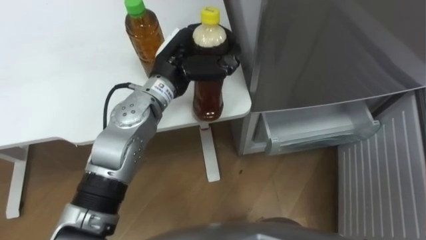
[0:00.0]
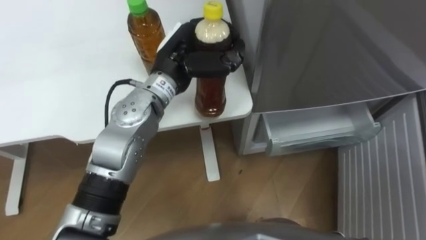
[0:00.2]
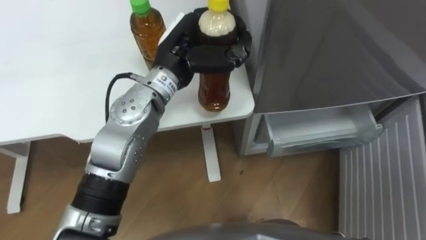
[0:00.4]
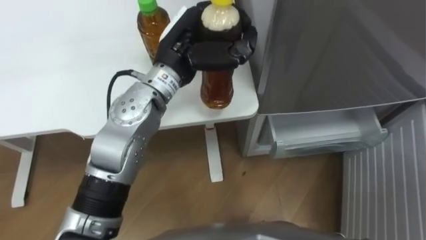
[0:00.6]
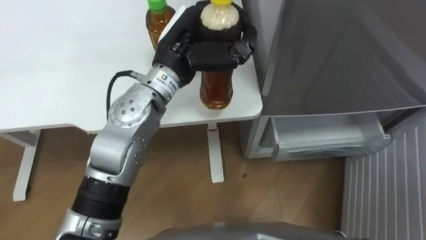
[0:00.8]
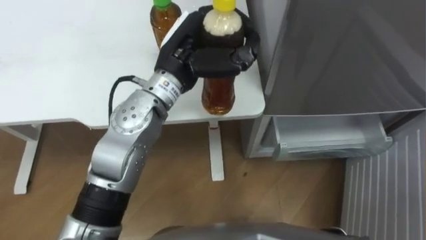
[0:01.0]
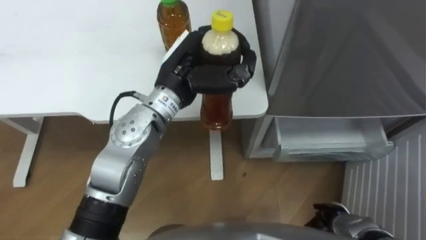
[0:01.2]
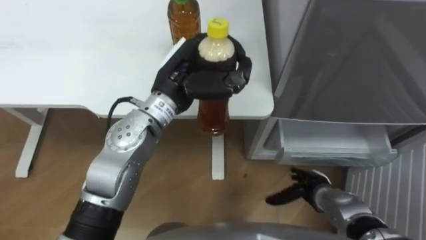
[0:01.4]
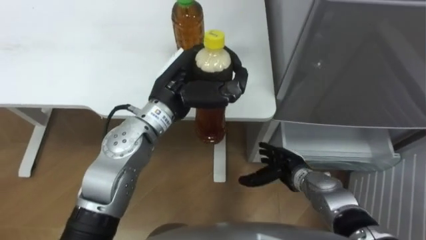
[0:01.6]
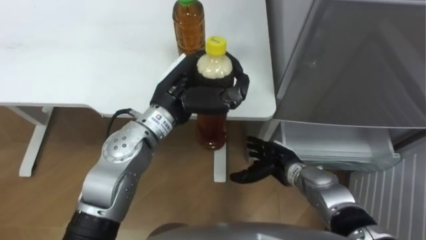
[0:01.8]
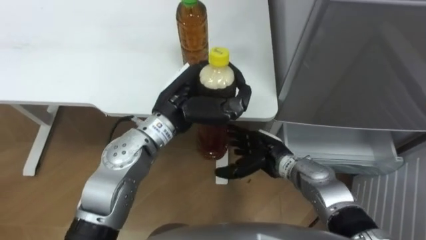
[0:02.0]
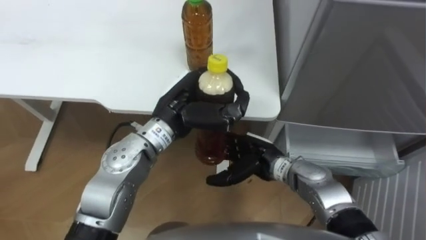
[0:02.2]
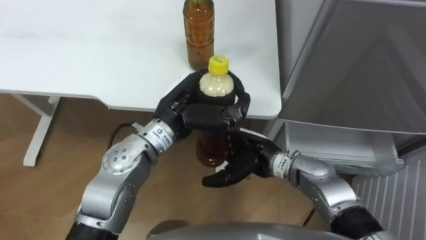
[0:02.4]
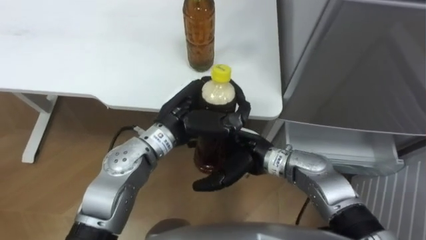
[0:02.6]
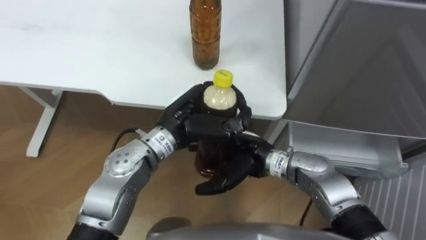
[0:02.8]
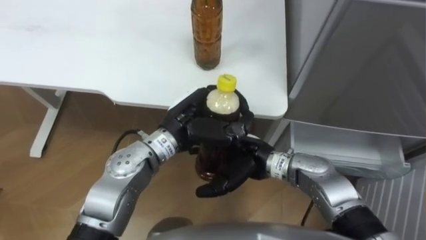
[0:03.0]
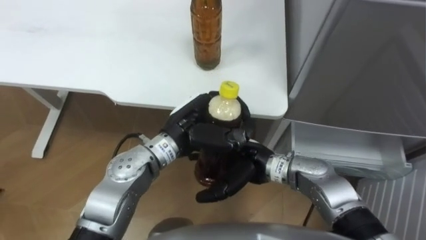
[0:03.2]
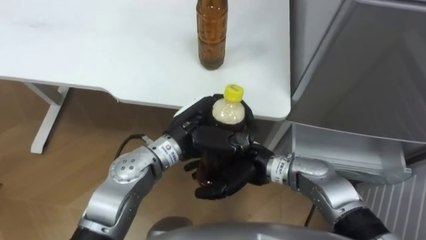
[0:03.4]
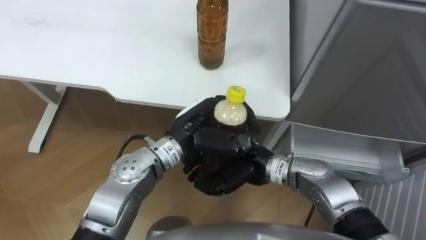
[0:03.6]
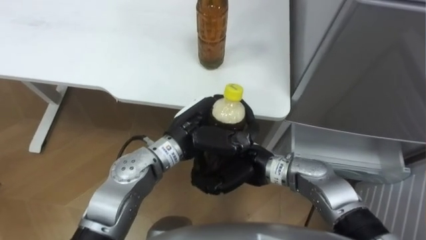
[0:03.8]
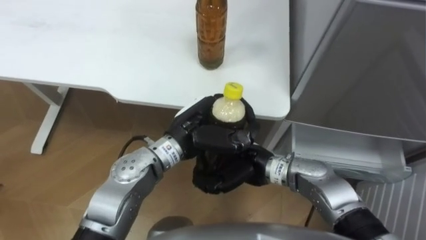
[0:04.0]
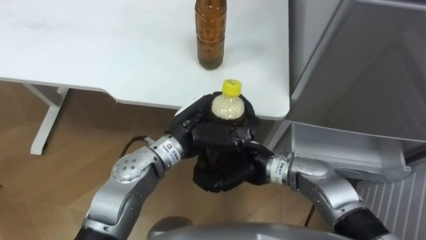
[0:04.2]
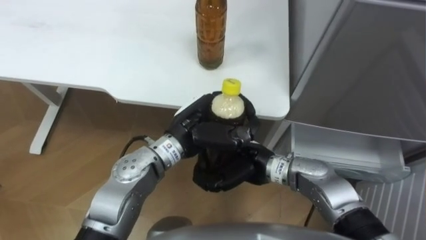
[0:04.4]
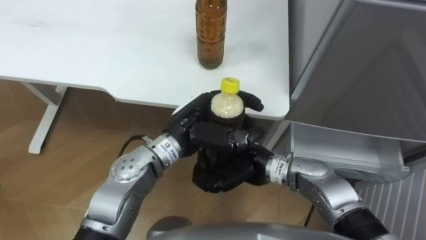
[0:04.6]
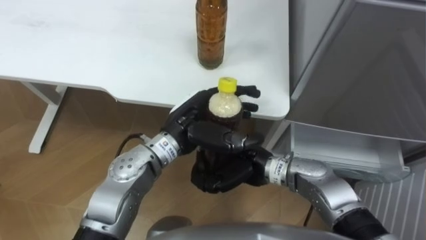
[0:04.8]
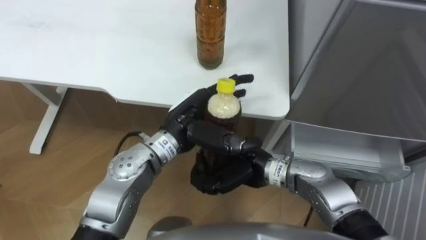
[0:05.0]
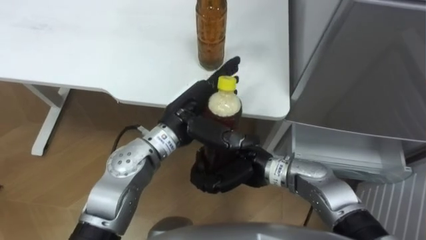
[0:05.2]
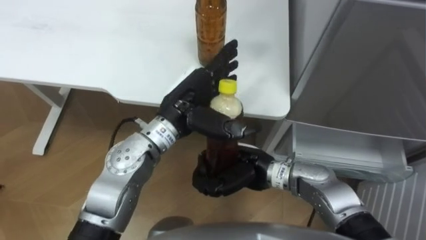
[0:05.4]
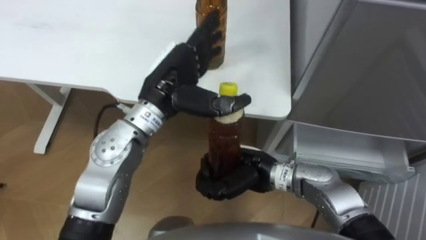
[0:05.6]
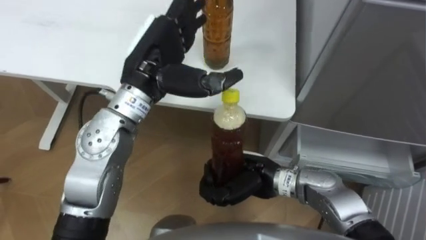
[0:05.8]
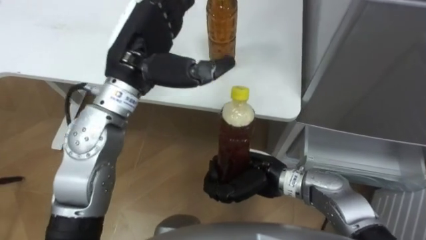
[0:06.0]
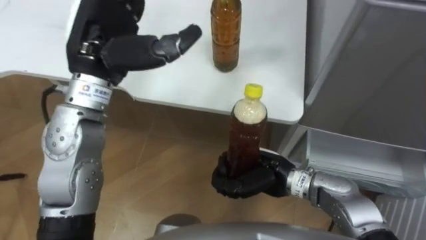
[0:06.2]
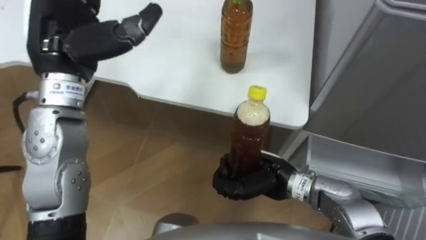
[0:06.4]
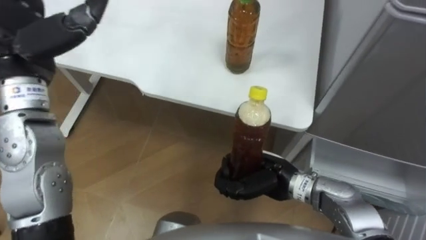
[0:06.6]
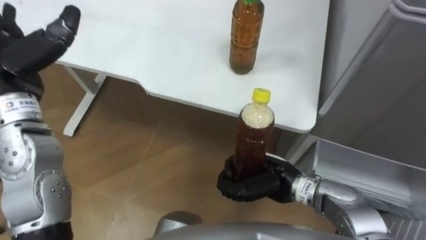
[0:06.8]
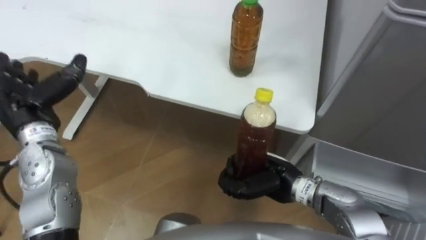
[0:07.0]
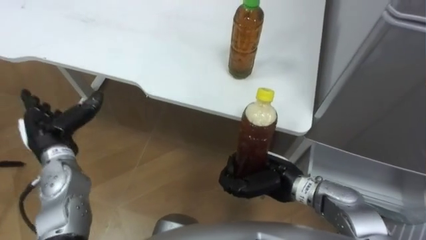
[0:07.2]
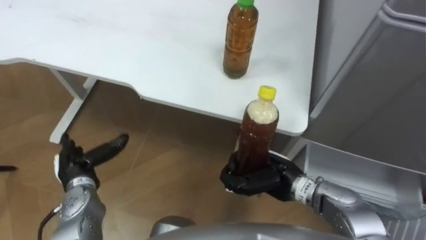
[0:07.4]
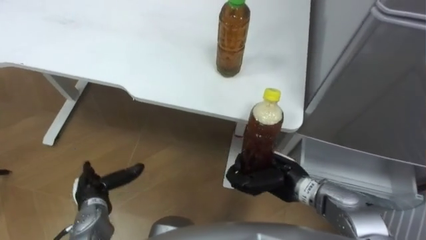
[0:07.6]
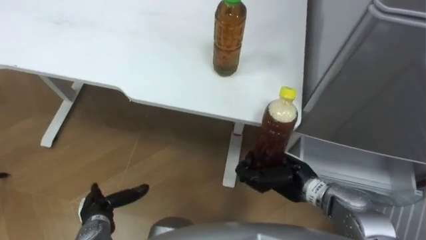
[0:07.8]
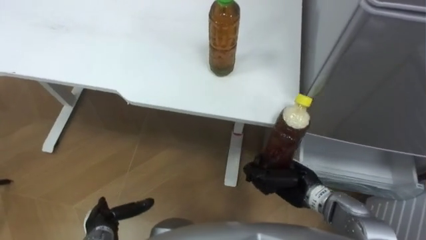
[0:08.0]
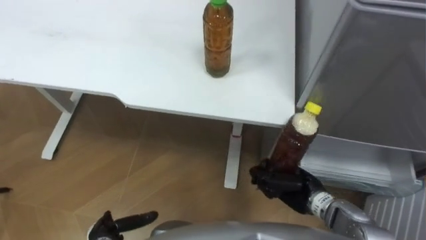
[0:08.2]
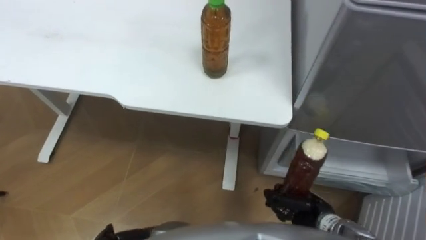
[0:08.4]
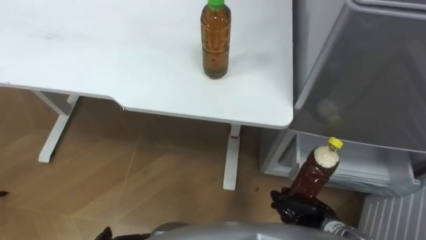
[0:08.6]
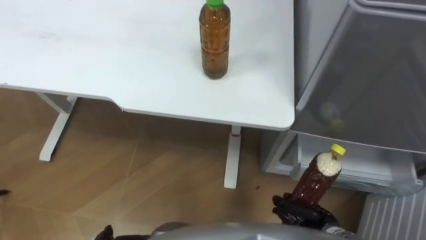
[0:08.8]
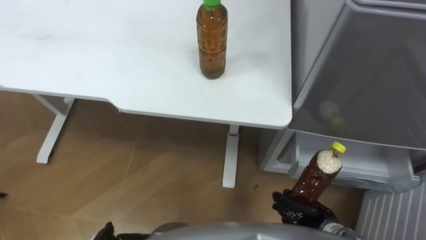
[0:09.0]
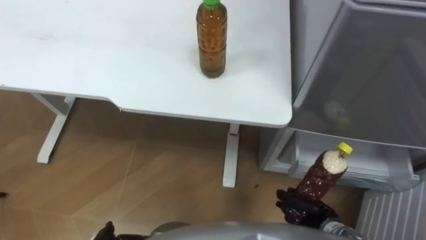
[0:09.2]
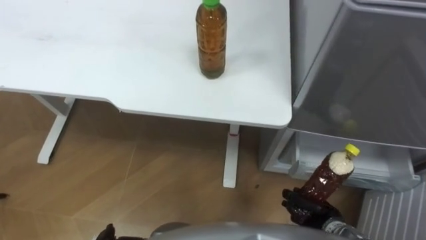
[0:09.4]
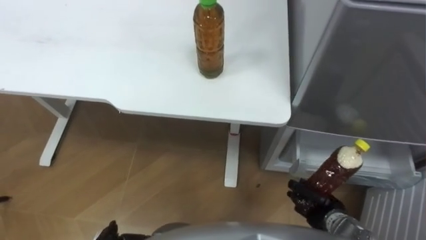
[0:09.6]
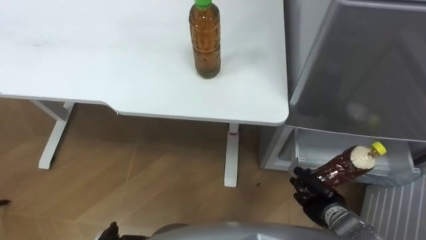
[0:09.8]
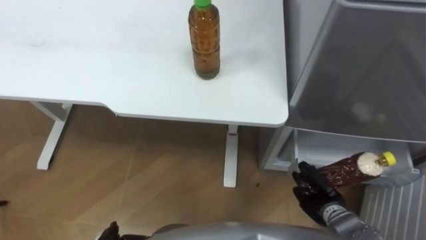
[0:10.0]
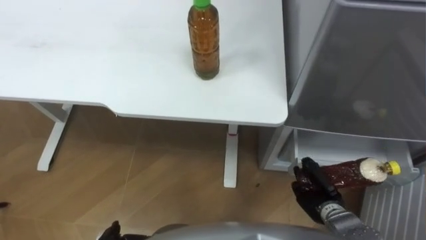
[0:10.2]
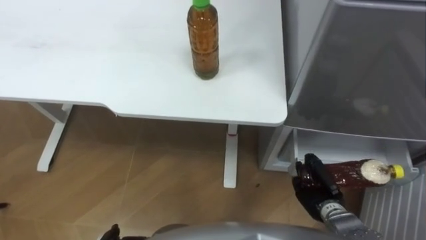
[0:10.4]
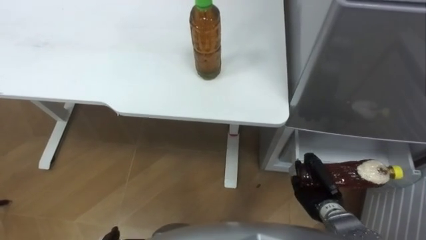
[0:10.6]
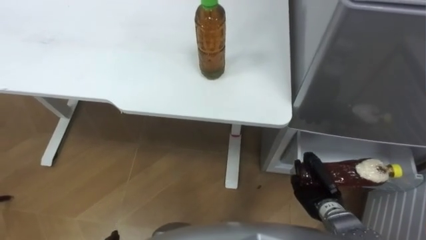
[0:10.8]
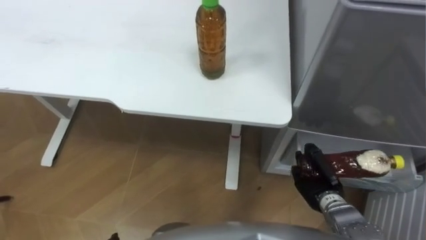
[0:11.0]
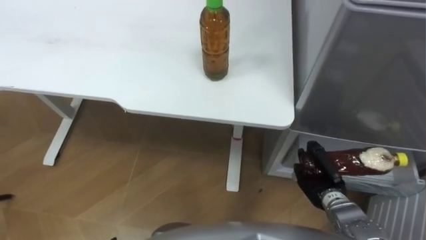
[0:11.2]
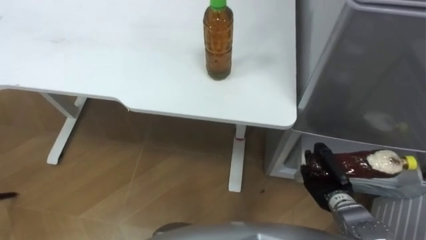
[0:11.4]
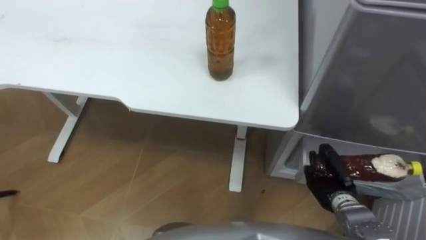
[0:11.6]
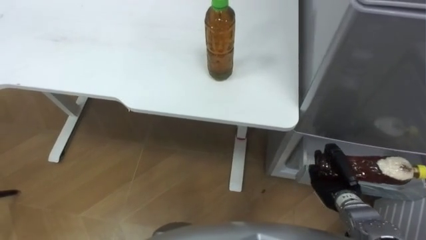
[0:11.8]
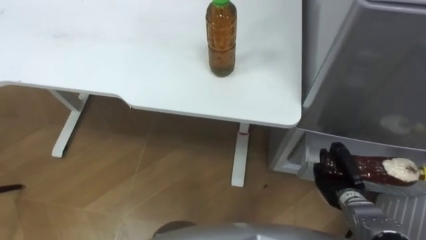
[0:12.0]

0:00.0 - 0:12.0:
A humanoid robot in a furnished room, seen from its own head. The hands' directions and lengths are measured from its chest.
Task of the whole recording: Place the drink on the table on the bottom shelf of the refrigerator, then close the drawer and the refrigerator door.
0:01.6 - 0:03.0: The right hand heads to the left and upward, covering about 15 cm; the left hand shifts by some 5 cm.
0:03.0 - 0:04.4: The right hand closes.
0:04.4 - 0:06.0: The left hand shifts some 15 cm upward and to the left, and opens its fingers.
0:06.0 - 0:07.6: The right hand moves to the right, approximately 5 cm.
0:07.6 - 0:09.0: The right hand heads downward, to the right and backward, covering about 15 cm.
0:09.0 - 0:10.4: The right hand shifts by roughly 5 cm.

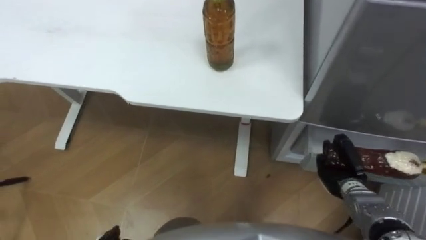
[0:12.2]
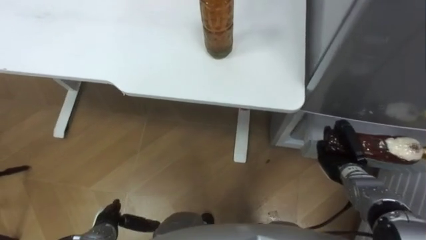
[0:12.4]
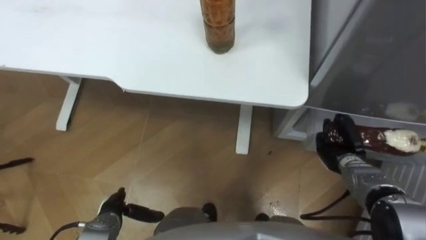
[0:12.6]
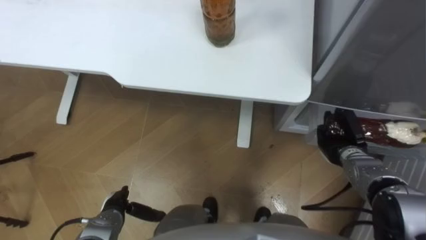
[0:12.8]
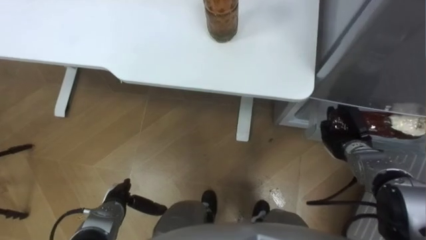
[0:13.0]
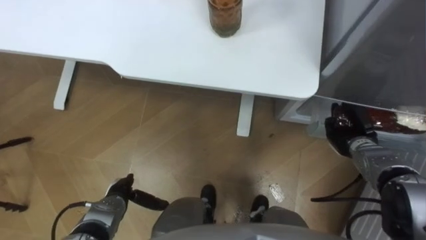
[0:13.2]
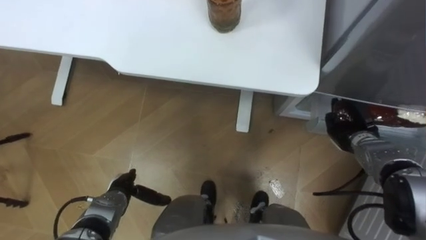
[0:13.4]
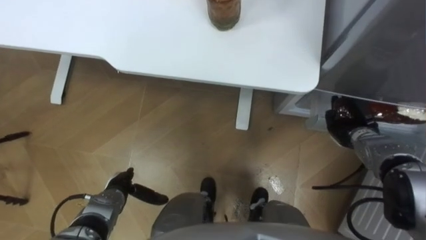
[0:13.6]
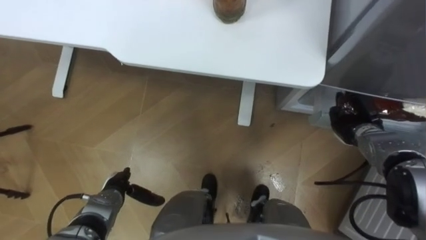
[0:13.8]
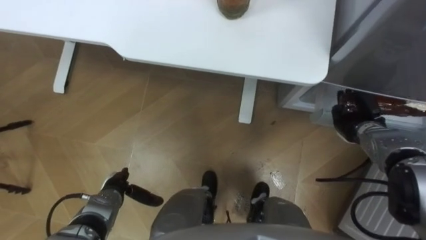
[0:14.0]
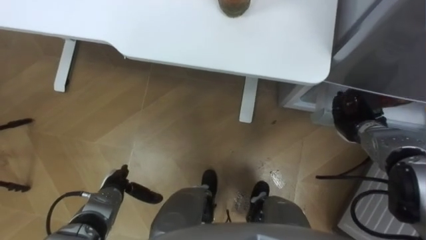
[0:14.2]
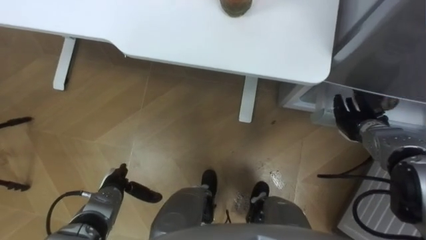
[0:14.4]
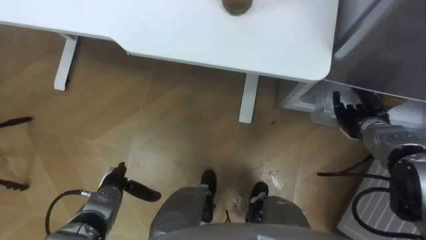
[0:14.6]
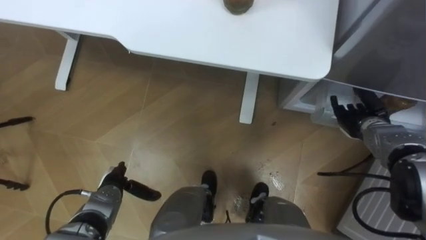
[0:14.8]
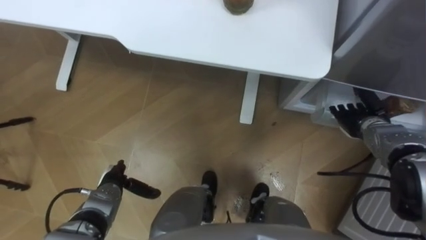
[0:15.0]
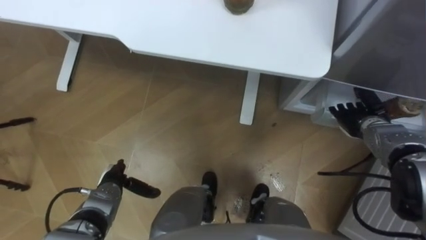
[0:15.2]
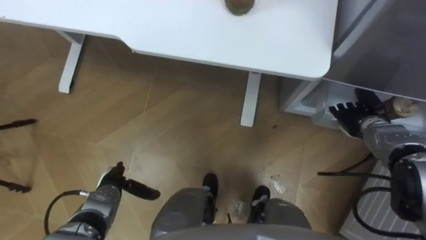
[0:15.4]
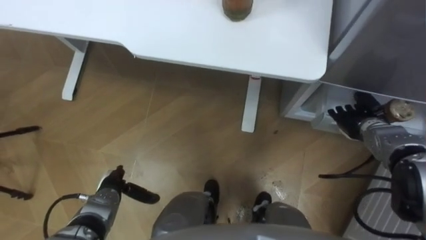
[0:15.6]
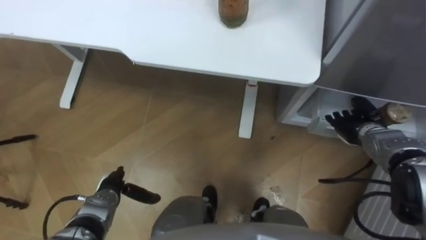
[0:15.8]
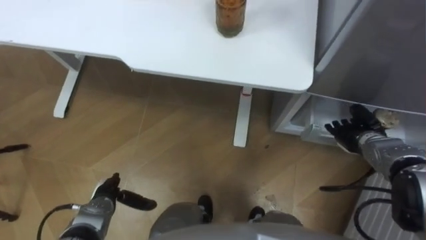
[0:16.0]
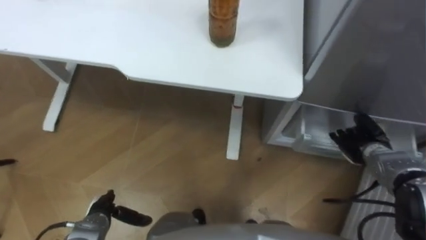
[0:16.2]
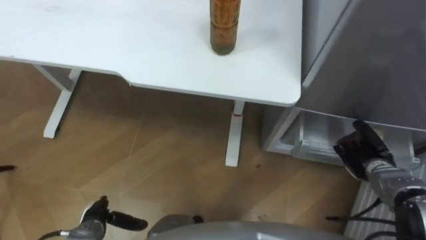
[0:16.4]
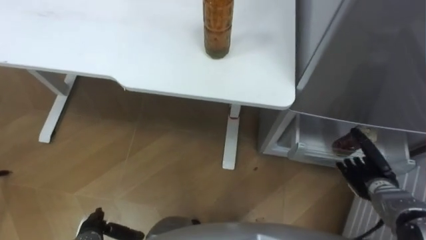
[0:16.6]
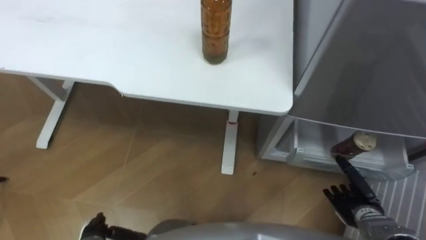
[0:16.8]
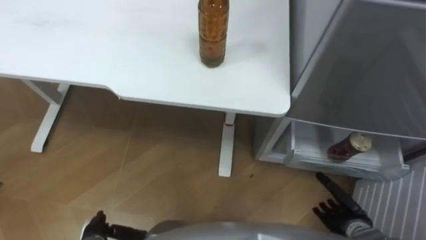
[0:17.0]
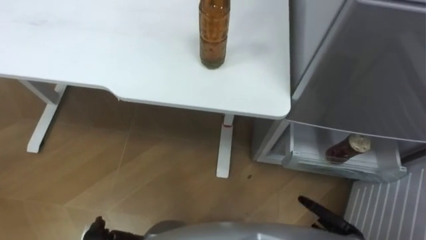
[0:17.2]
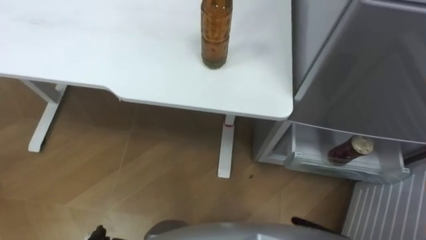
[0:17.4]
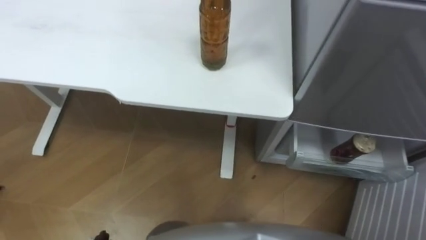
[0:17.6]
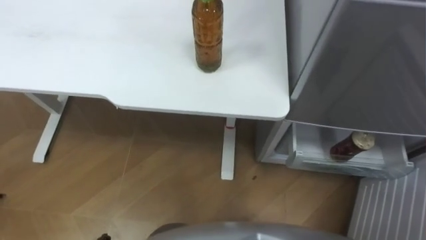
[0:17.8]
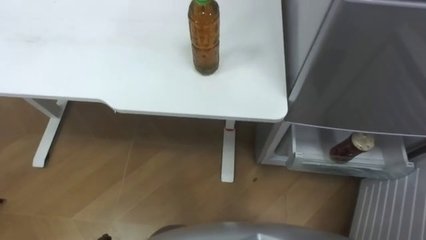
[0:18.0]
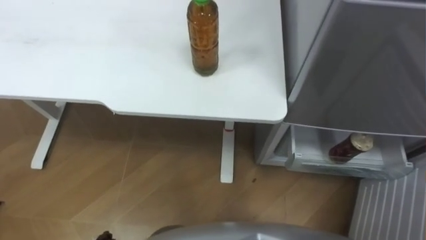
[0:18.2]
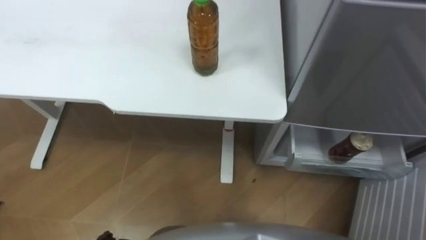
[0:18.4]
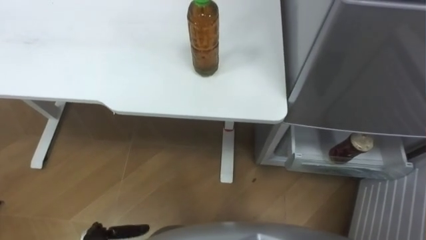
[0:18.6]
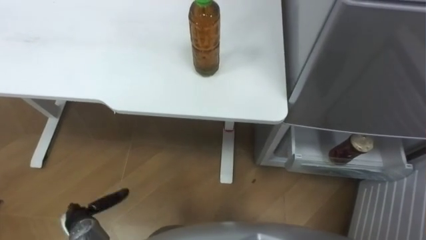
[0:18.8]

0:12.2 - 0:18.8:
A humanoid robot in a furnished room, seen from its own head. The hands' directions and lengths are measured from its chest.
Task of the whole recording: Place the drink on the table on the bottom shelf of the refrigerator, then close the drawer and the refrigerator door.
0:12.2 - 0:13.8: The right hand goes approximately 15 cm forward and upward.
0:13.8 - 0:15.4: The right hand opens its fingers.
0:15.4 - 0:17.2: The right hand travels backward and downward by approximately 25 cm.
